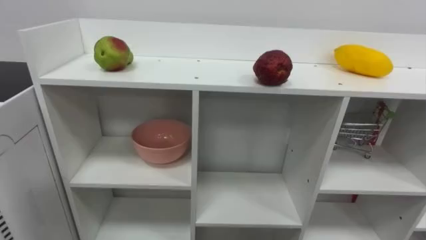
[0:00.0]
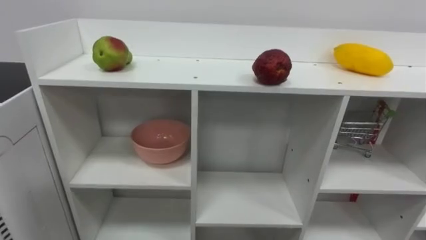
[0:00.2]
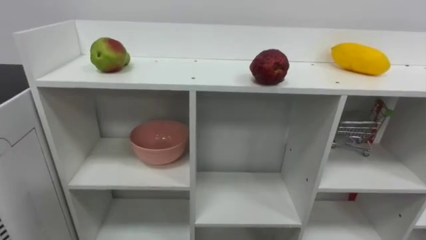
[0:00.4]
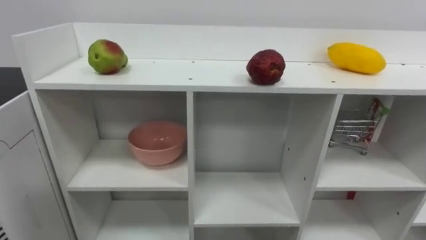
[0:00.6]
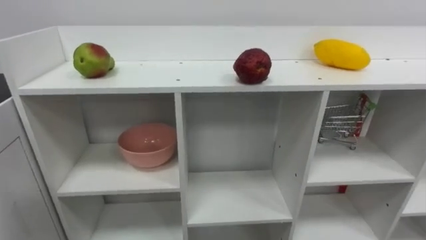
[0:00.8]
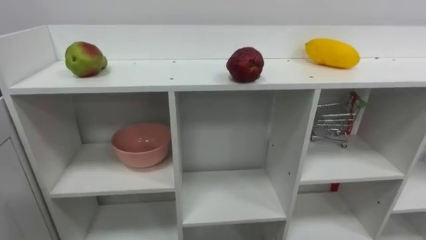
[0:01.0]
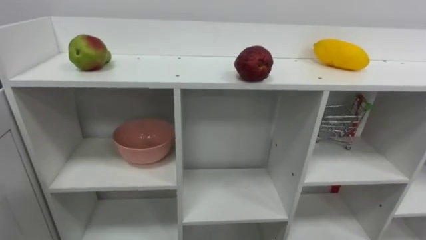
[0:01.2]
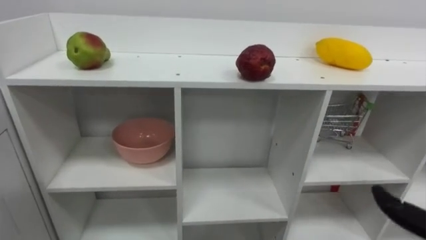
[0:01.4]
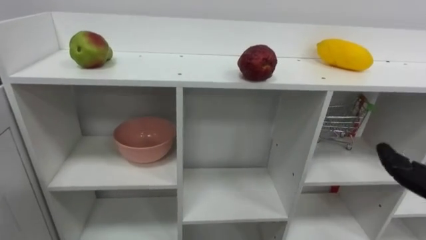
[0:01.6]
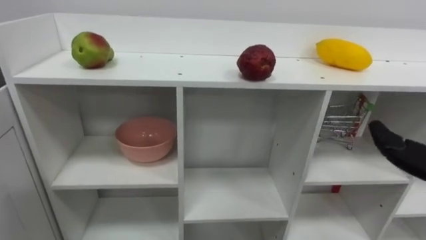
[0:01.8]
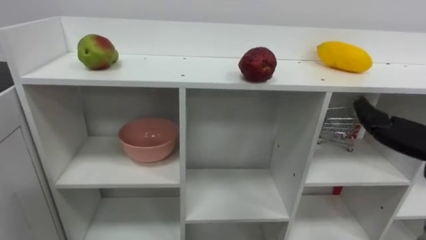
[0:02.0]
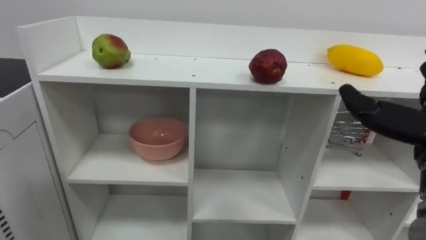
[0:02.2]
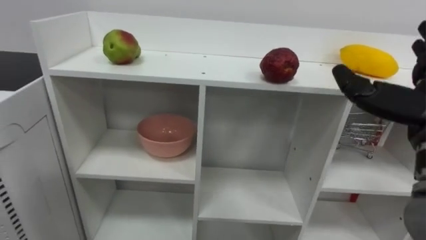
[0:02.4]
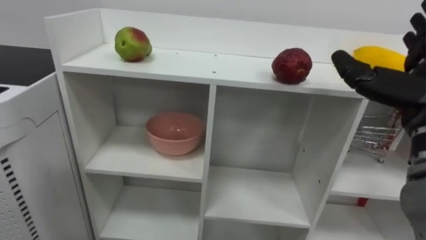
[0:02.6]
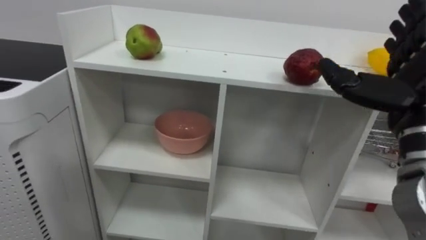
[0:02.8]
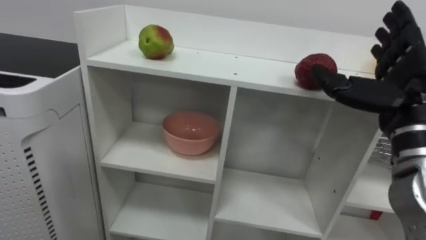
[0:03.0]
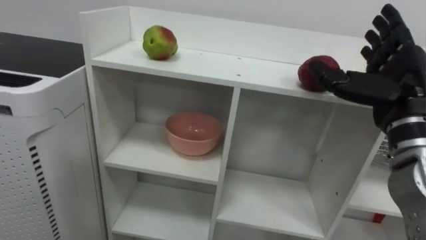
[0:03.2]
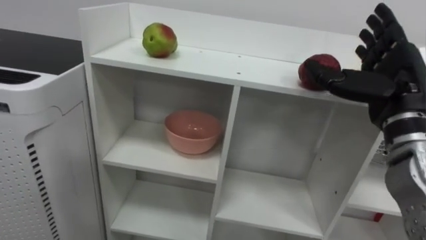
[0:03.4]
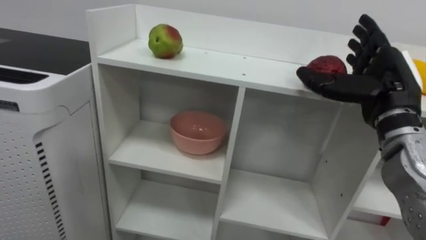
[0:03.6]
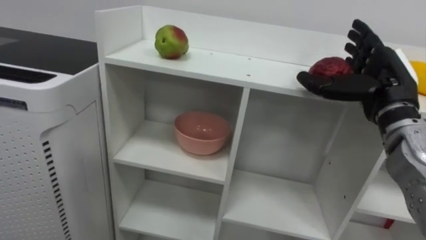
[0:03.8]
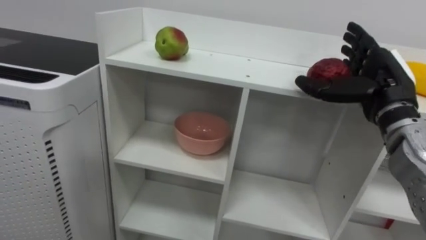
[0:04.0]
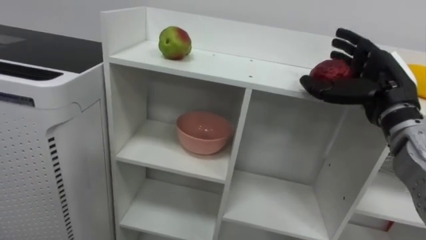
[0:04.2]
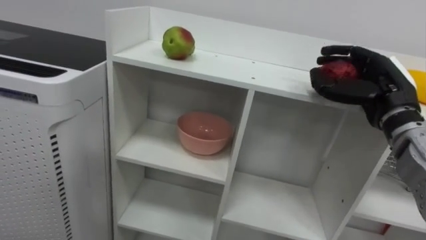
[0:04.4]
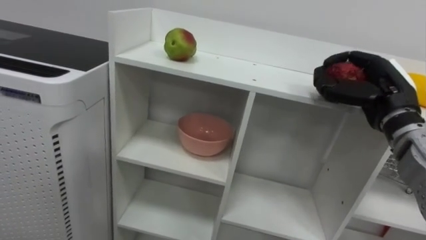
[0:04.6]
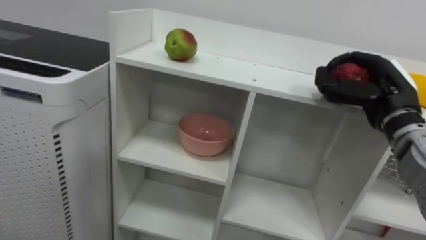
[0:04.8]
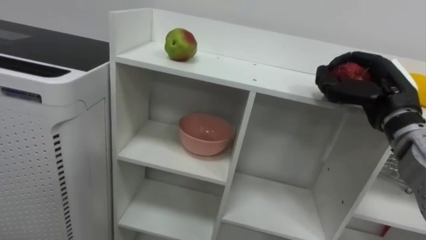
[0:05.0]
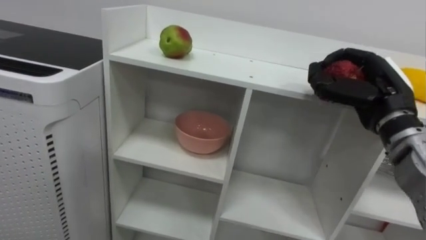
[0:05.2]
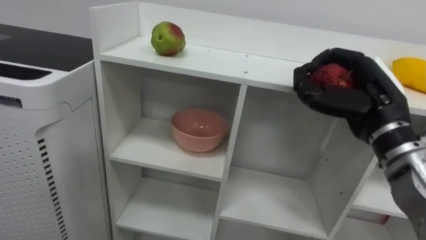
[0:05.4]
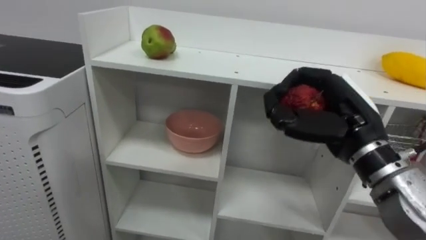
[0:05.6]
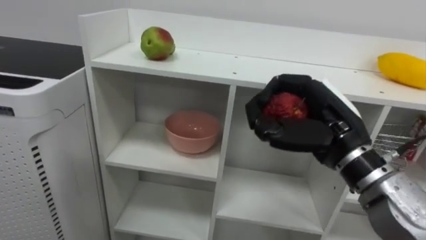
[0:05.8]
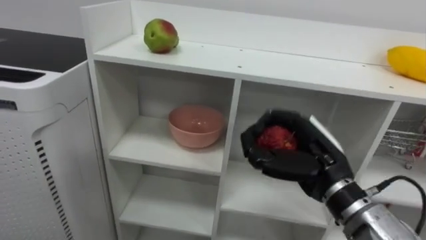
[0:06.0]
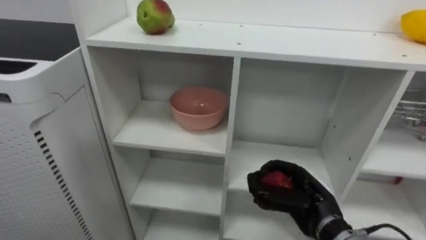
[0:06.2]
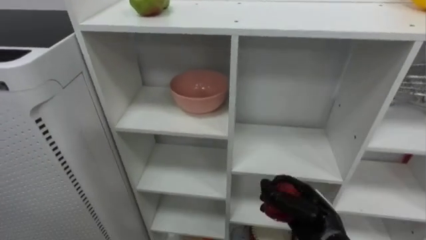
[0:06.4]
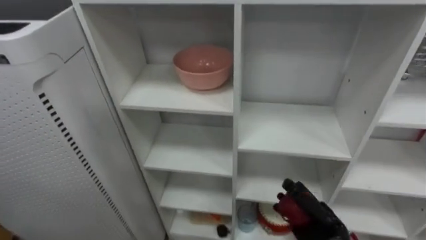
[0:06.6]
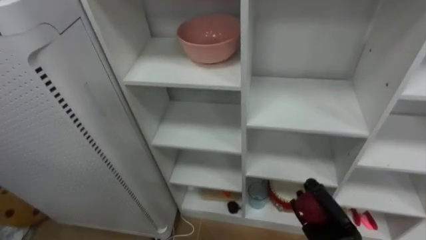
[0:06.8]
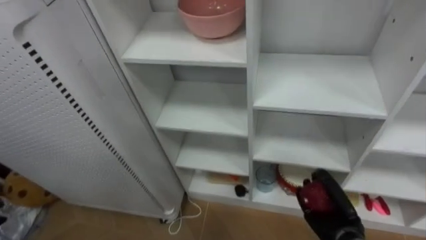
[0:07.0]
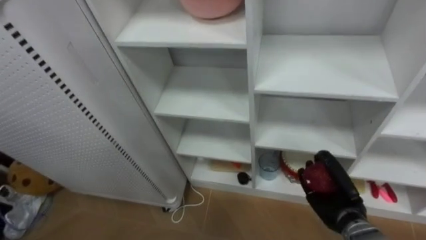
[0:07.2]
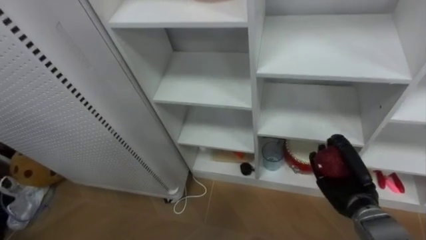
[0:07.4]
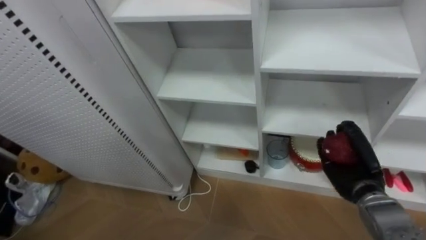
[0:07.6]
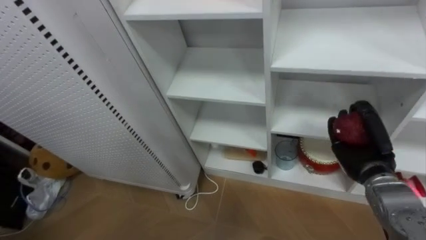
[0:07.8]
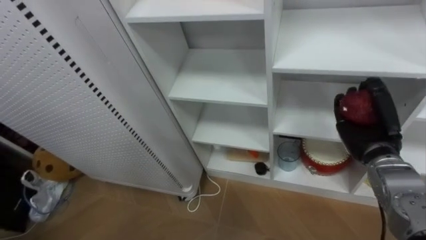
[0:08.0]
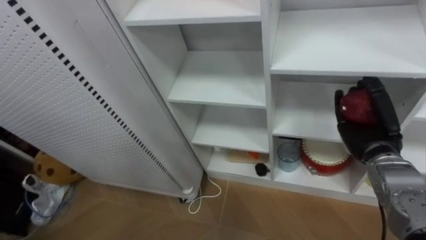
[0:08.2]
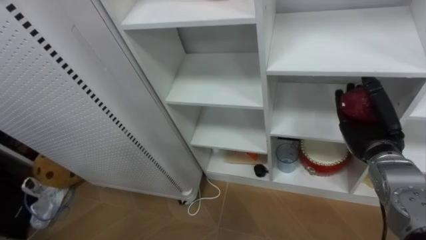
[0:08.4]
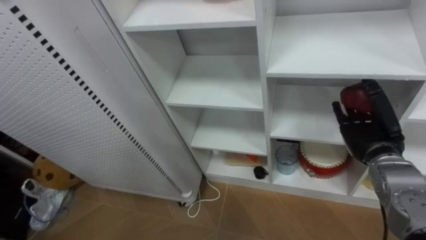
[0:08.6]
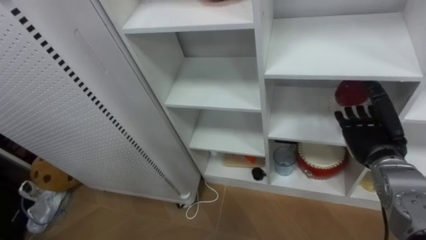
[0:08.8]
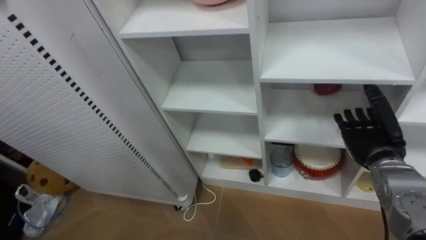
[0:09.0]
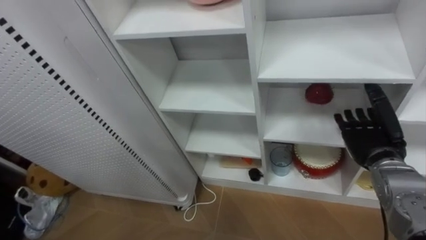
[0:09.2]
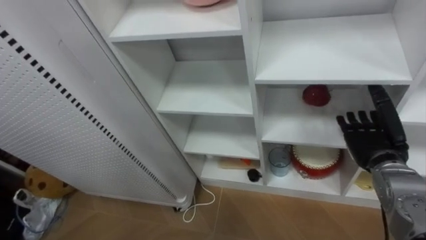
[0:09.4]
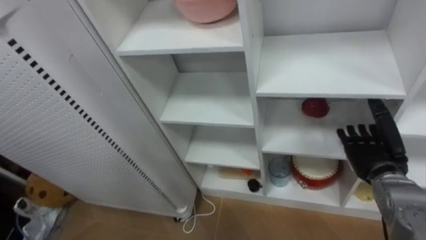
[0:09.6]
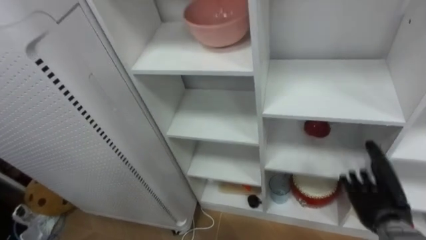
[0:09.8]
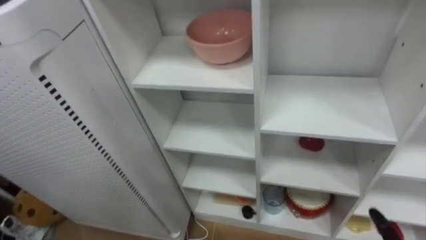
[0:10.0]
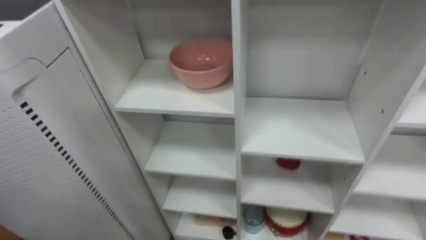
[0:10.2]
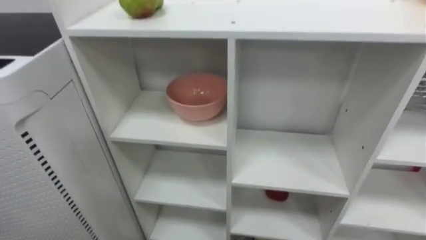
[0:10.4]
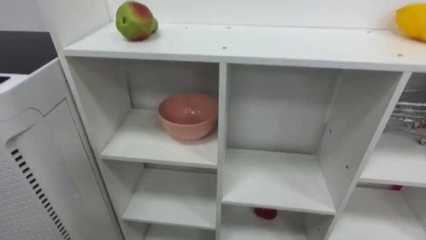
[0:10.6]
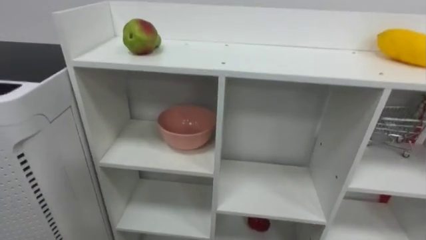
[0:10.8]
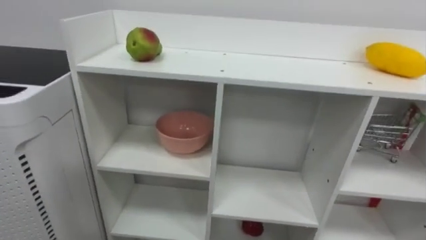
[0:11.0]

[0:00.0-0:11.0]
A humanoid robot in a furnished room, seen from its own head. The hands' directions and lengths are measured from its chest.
Task of the whole recording: Put the apple in the cell in the second column from the left and the second row from the top.
0:03.2 to 0:04.8: The right hand goes some 5 cm forward, and closes up.
0:04.8 to 0:06.2: The right hand travels downward and to the left by about 20 cm.
0:06.2 to 0:07.8: The right hand travels to the right and forward by about 15 cm, and reaches roughly 10 cm downward, then returns.
0:07.8 to 0:09.4: The right hand opens its fingers.

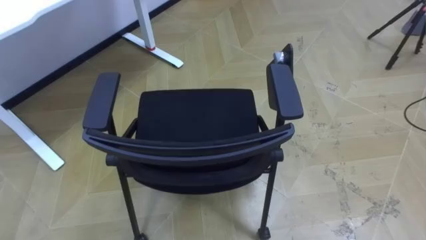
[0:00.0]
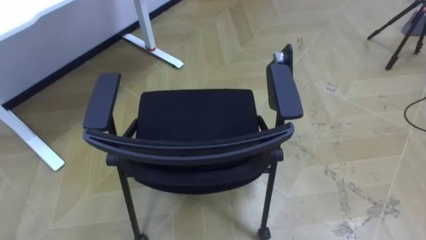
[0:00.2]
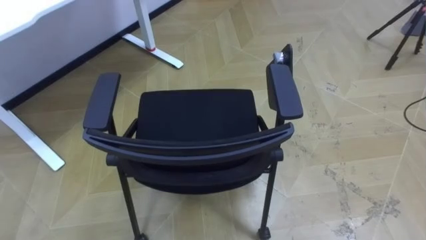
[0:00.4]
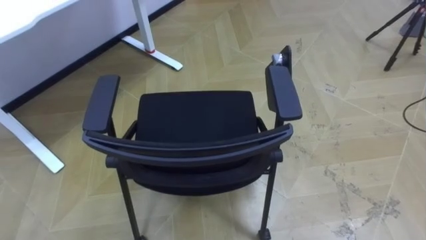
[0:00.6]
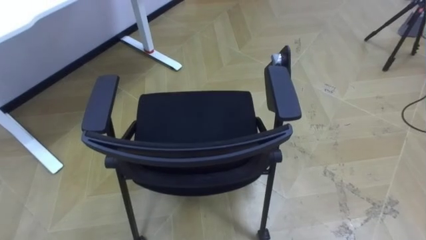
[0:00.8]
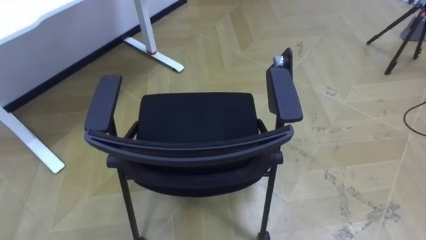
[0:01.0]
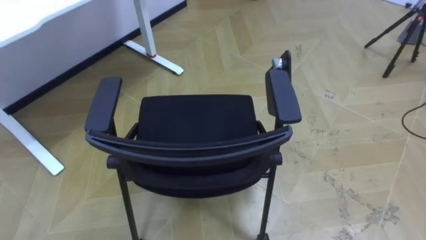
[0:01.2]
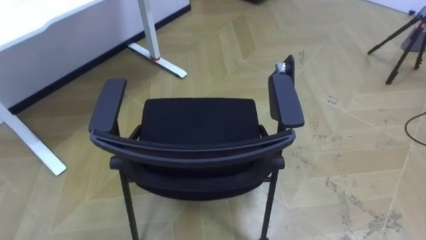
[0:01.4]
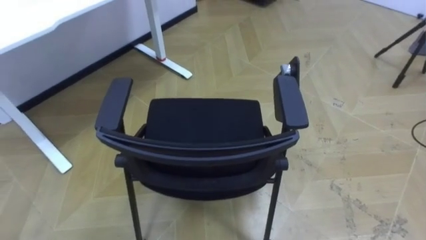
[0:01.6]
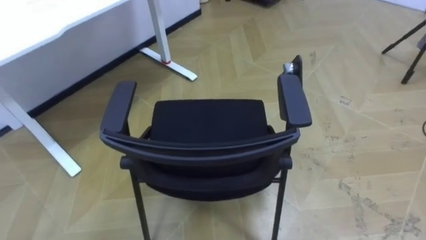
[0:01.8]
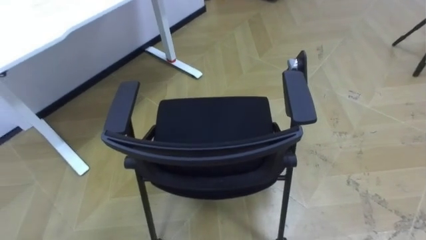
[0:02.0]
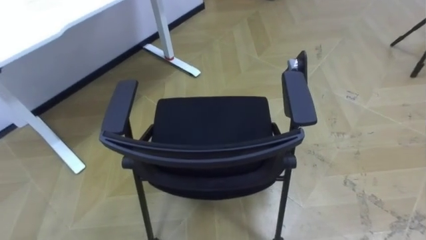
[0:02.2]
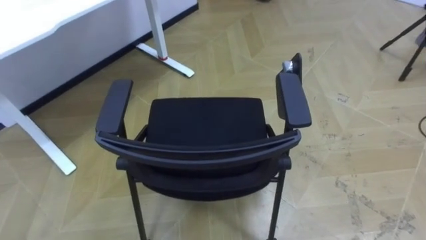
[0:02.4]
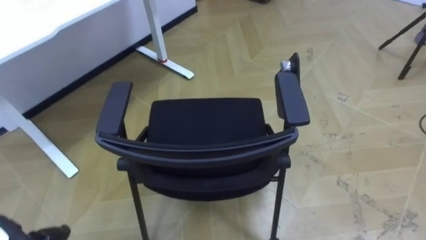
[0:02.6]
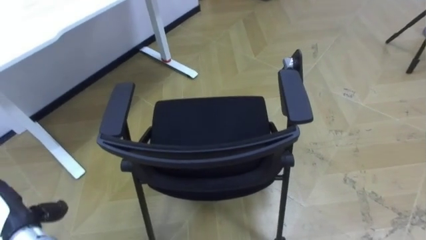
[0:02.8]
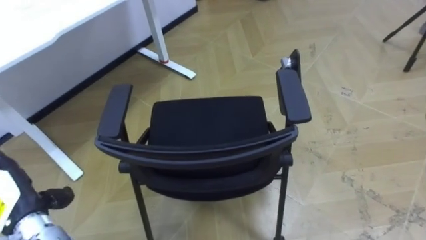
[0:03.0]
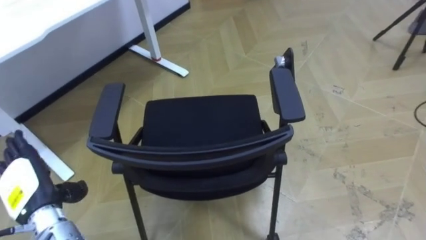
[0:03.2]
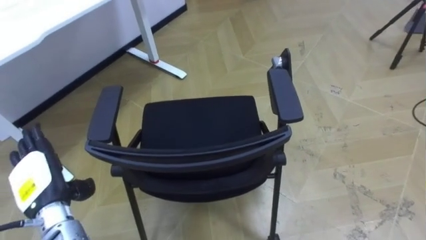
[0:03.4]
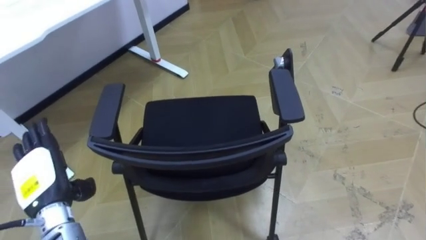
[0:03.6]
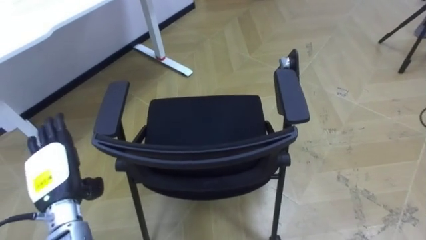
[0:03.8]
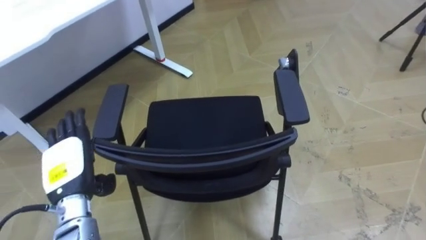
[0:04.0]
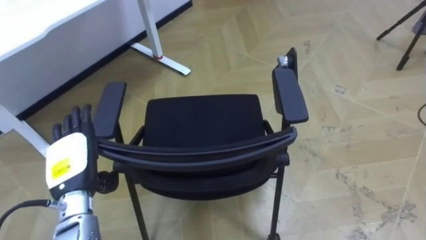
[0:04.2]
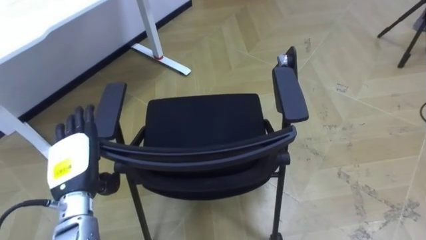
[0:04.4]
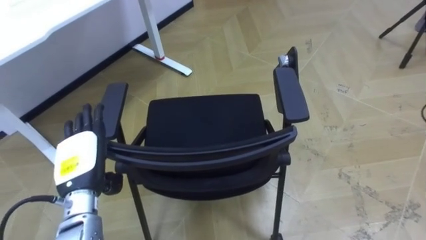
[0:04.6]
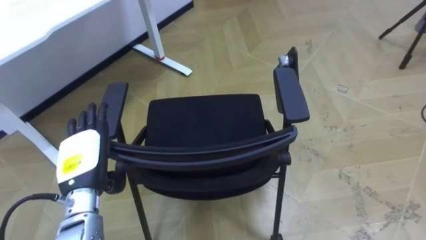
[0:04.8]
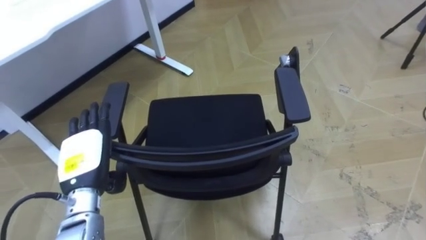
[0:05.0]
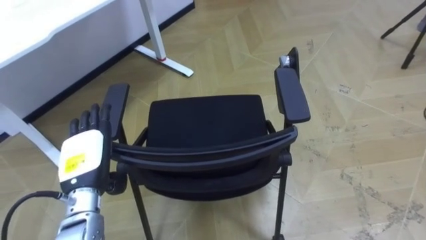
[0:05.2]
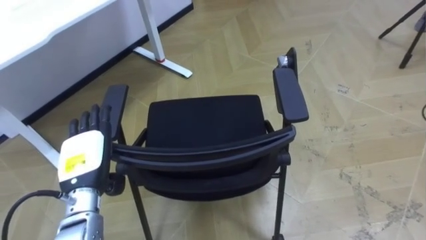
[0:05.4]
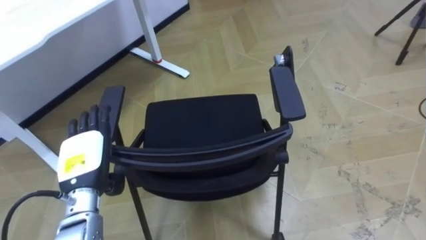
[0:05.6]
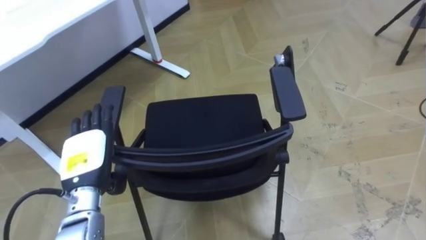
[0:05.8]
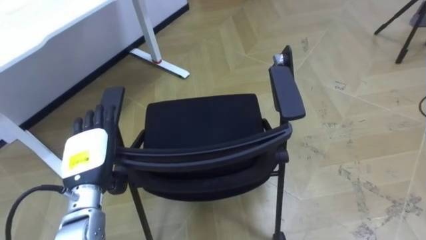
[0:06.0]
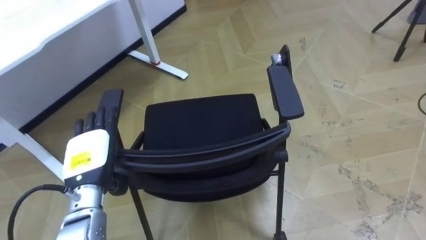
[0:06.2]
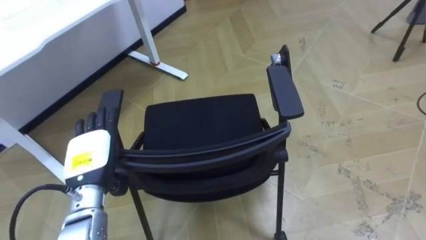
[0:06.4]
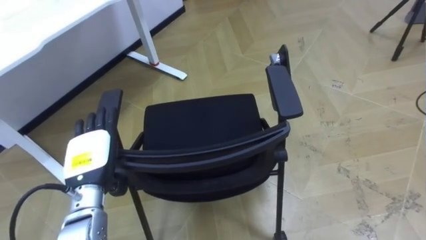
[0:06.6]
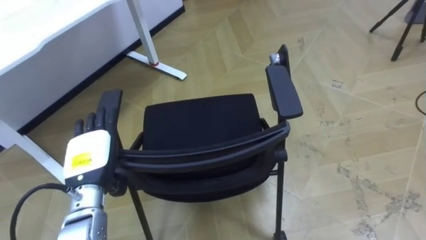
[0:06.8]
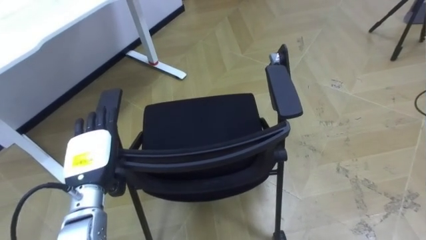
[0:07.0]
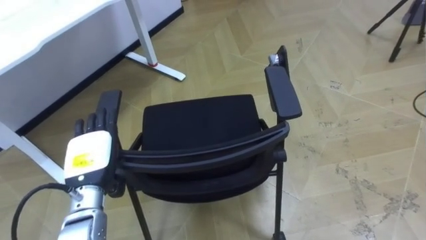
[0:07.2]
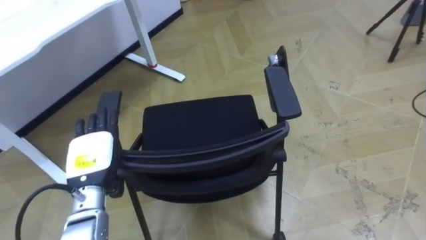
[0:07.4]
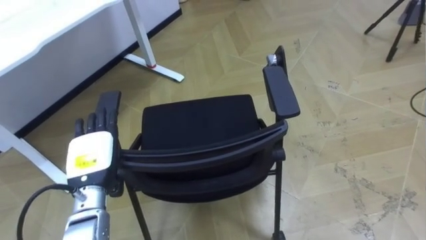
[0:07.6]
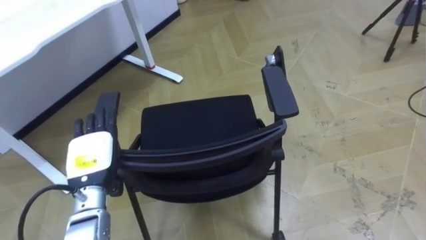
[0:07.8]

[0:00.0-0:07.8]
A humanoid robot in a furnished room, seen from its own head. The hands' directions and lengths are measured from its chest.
Task of the whole recording: Push the chair under the table.
0:03.2 to 0:04.6: The left hand is displaced to the right by some 10 cm.
